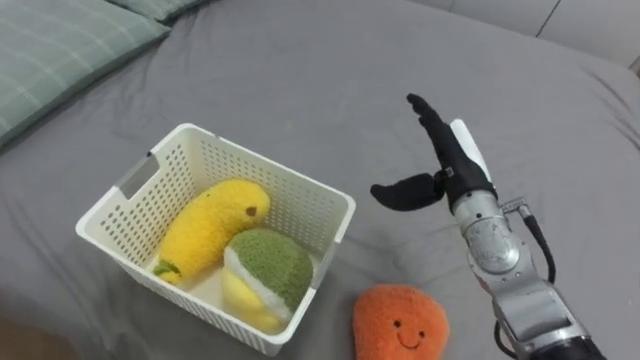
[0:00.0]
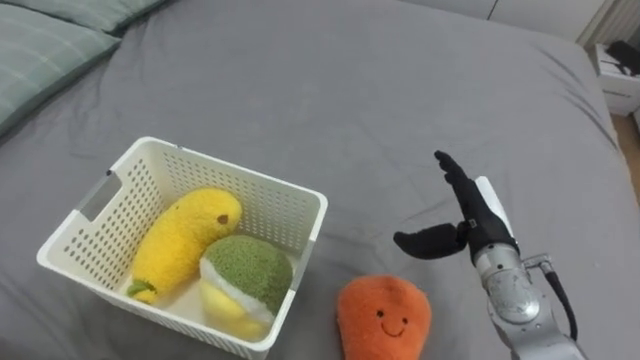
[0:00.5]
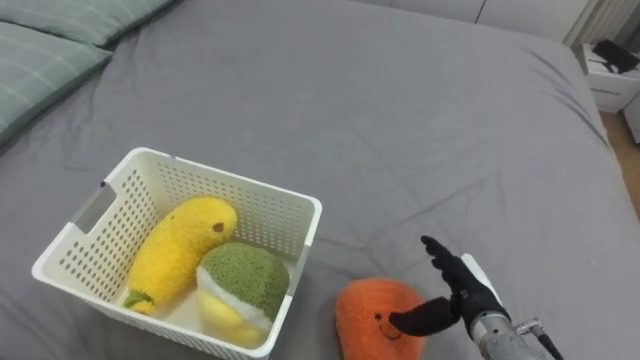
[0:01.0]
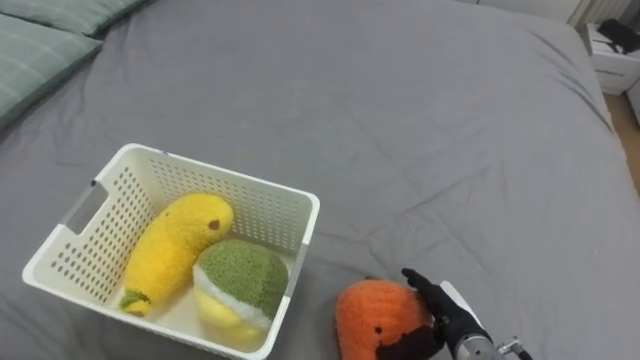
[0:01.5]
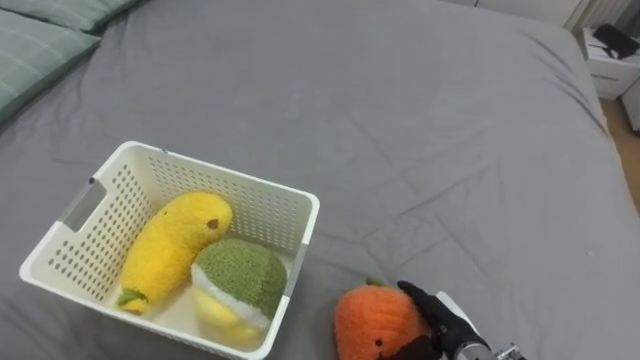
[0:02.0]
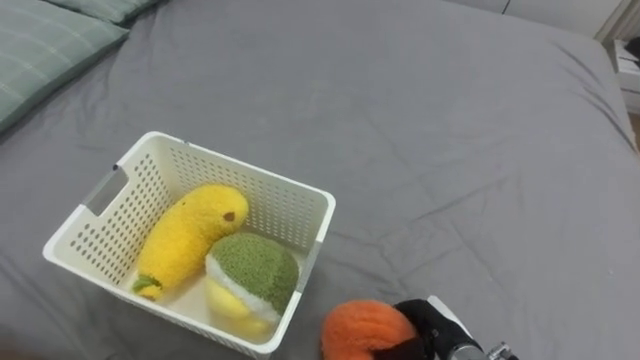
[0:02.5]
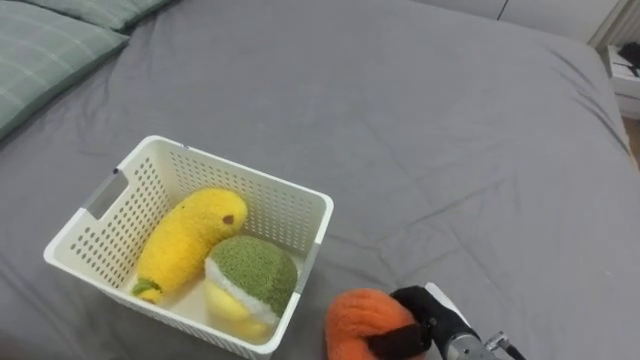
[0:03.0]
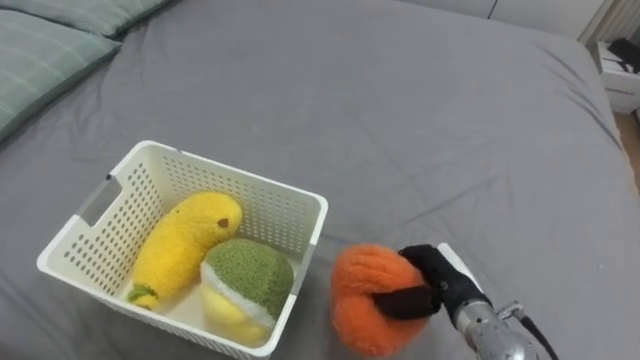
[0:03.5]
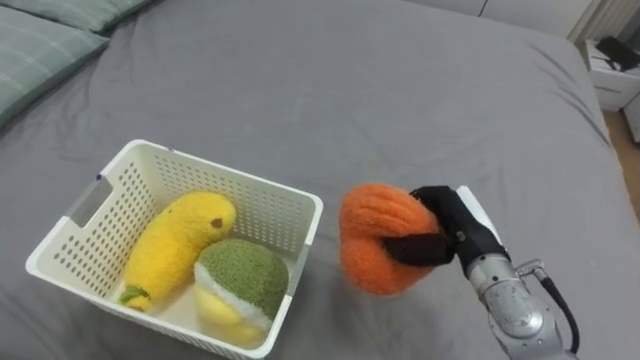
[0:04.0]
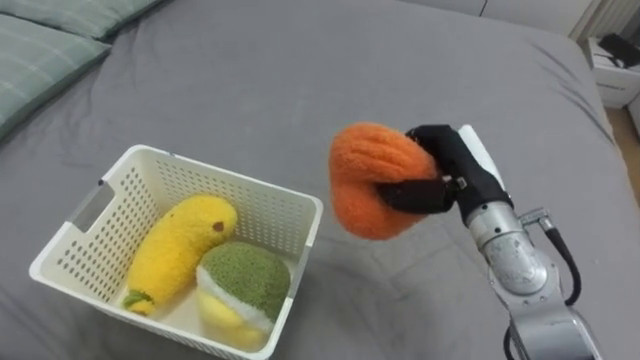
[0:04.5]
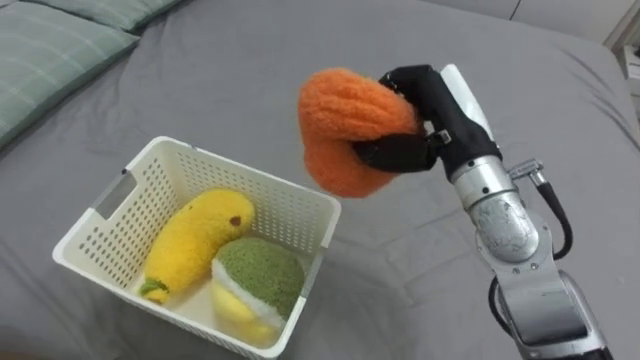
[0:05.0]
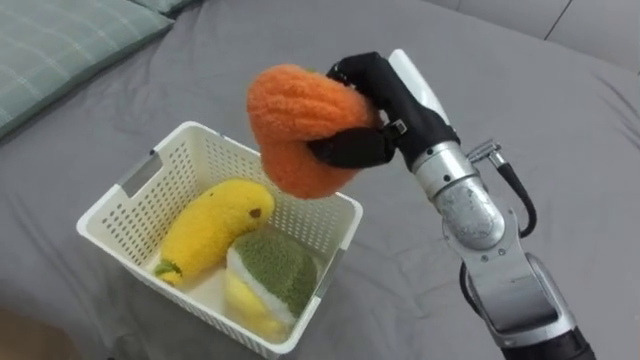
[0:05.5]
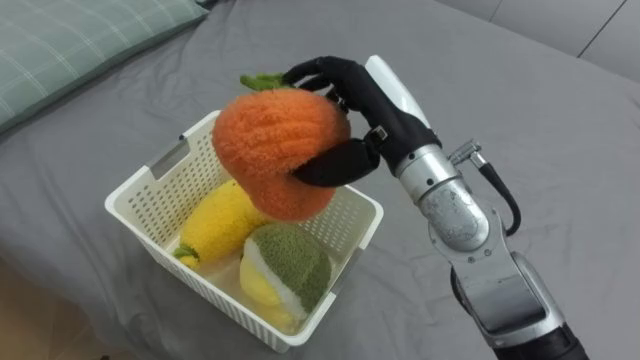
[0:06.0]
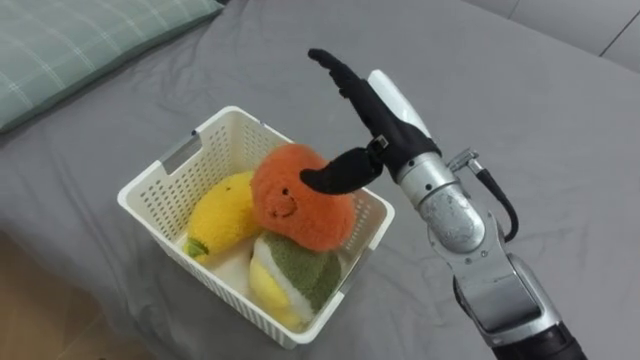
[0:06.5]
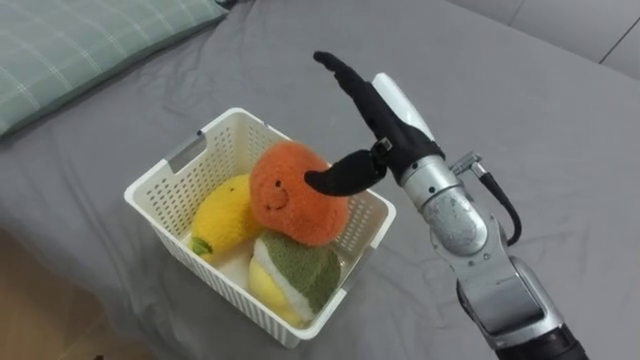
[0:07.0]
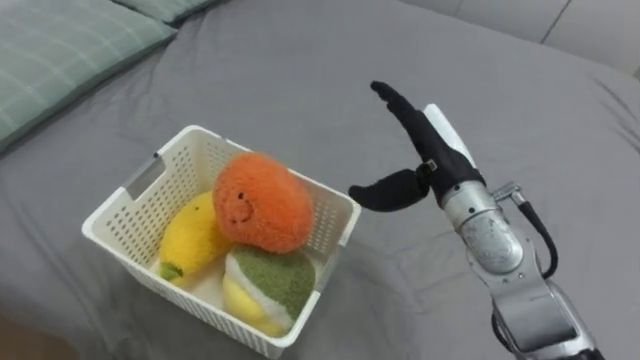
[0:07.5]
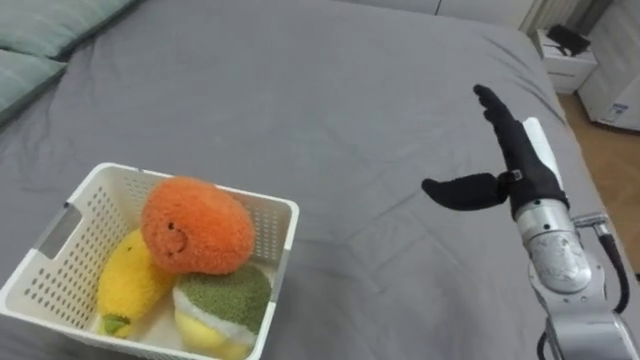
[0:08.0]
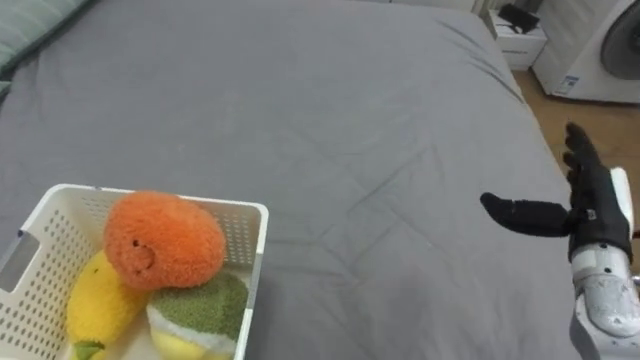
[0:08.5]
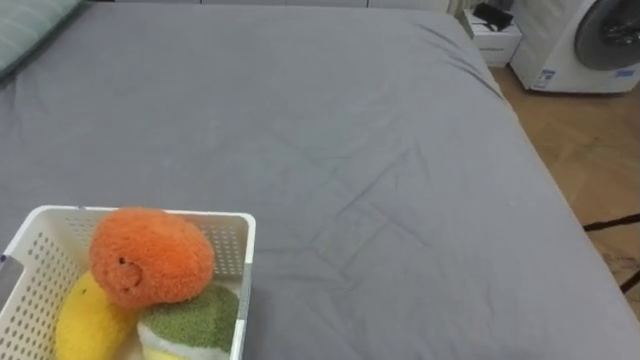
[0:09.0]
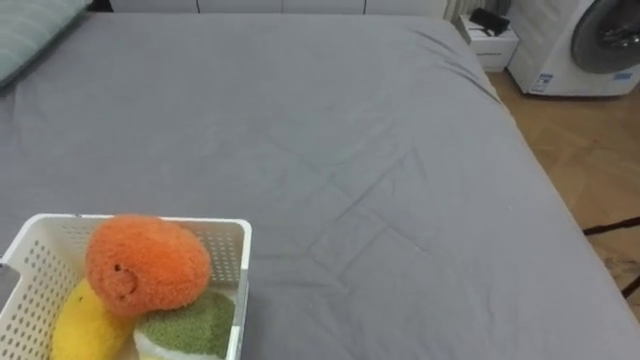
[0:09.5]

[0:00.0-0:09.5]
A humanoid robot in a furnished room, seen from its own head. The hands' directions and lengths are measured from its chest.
Task of the whole recording: Put the toys on the bed into the basket on the left.
0:00.0 to 0:02.0: The right hand heads downward and backward, covering about 25 cm.
0:02.0 to 0:04.0: The right hand shifts approximately 15 cm upward and forward, and closes.
0:04.0 to 0:05.5: The right hand heads upward and to the left, covering about 20 cm.
0:05.5 to 0:07.5: The right hand travels downward by approximately 5 cm, and opens.

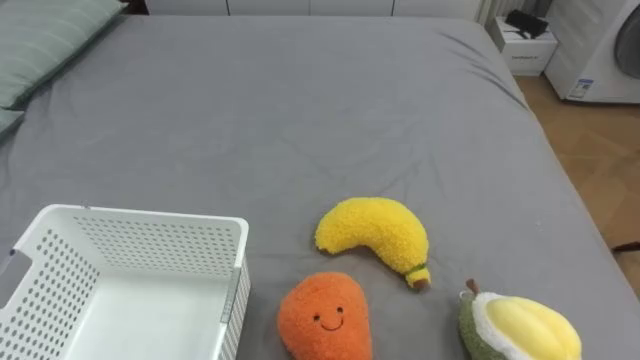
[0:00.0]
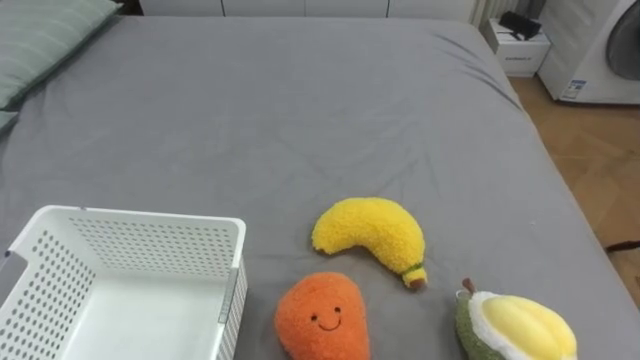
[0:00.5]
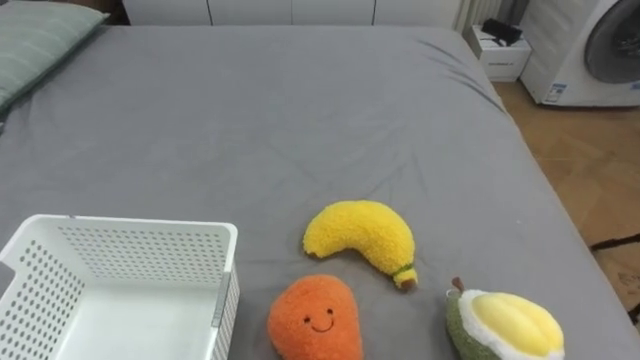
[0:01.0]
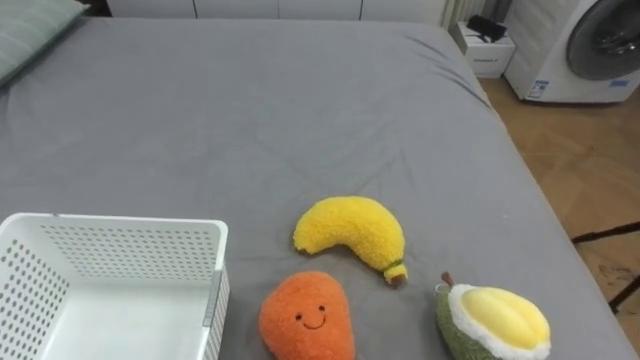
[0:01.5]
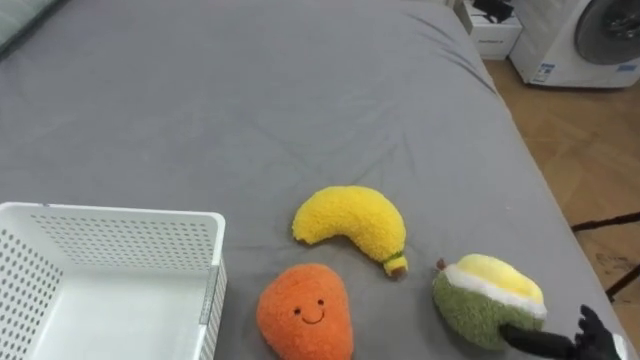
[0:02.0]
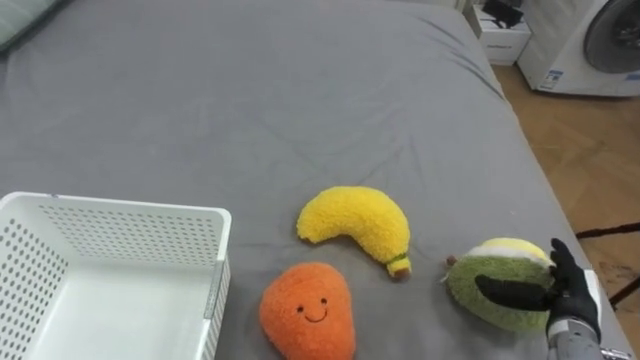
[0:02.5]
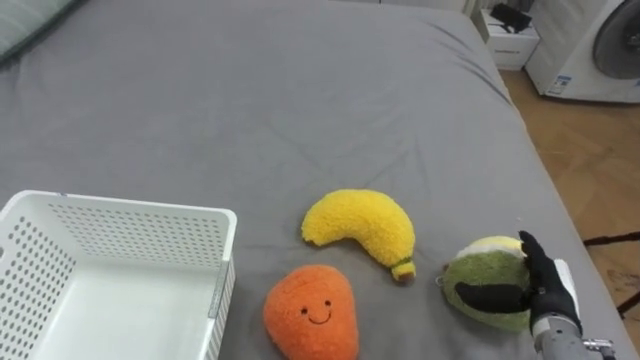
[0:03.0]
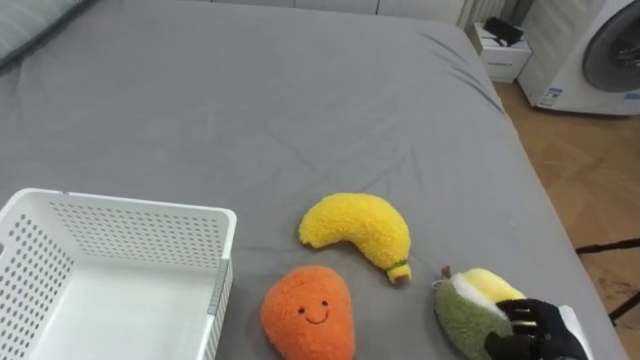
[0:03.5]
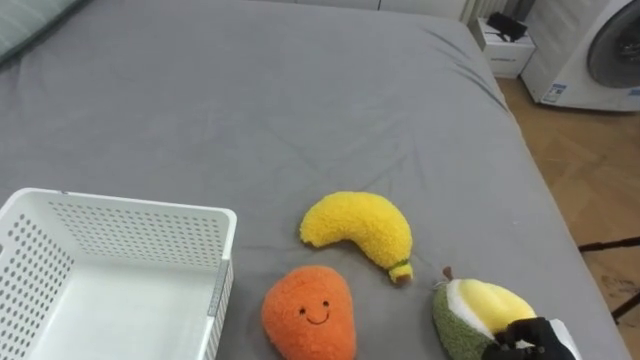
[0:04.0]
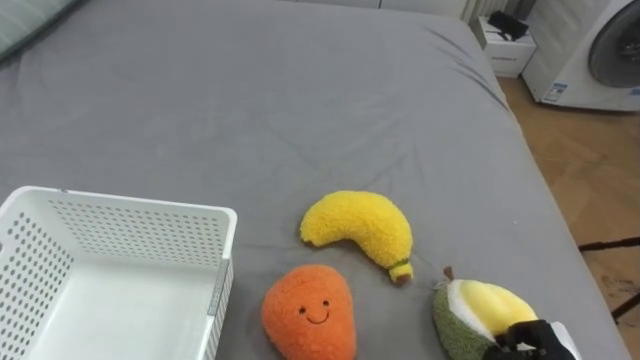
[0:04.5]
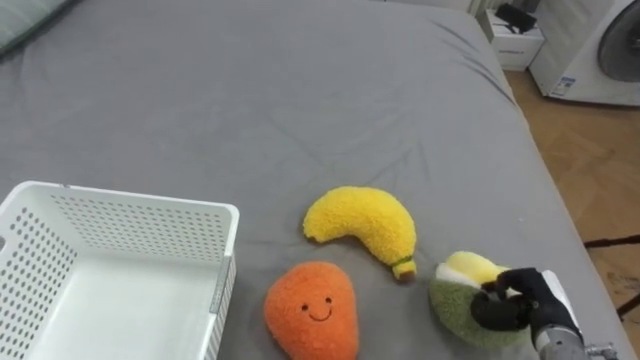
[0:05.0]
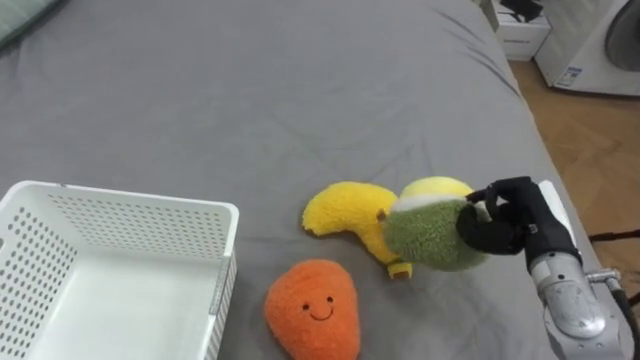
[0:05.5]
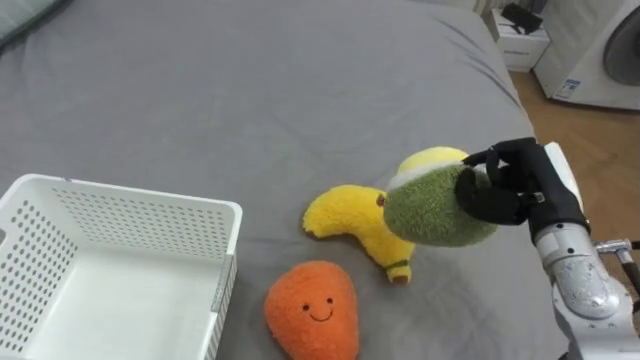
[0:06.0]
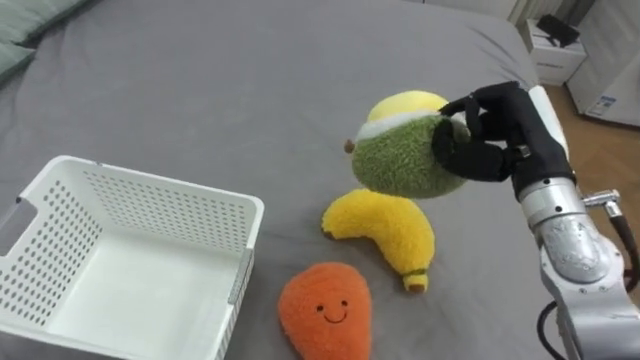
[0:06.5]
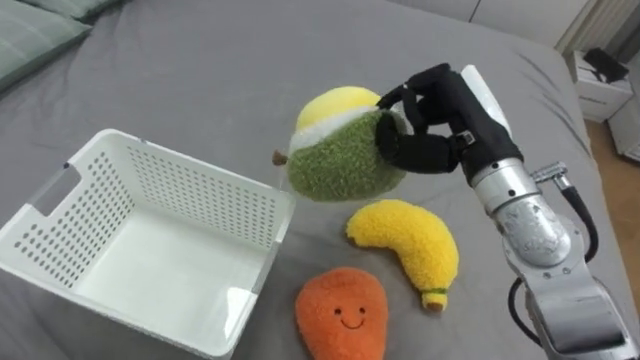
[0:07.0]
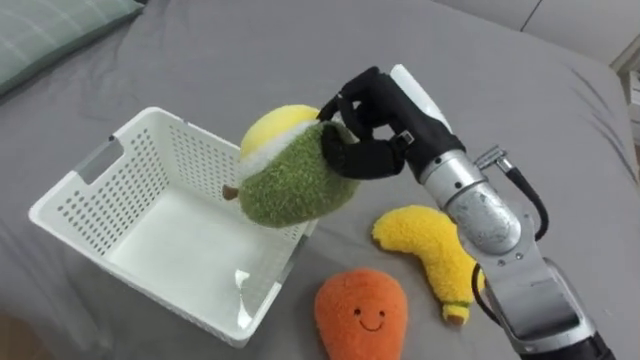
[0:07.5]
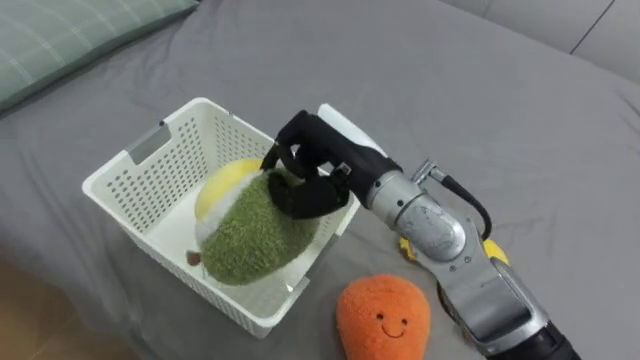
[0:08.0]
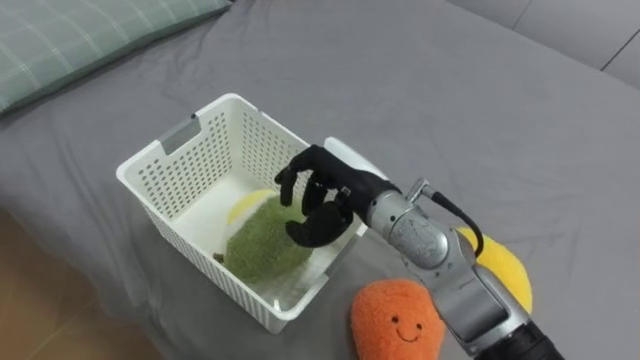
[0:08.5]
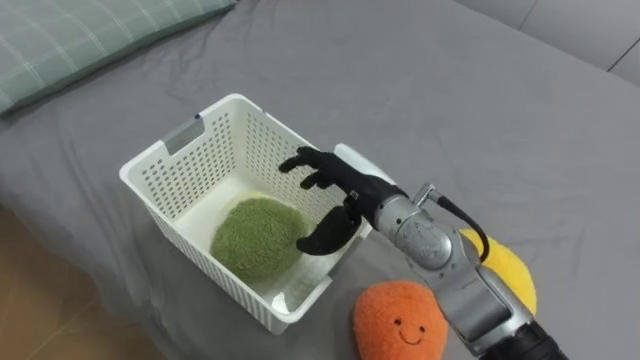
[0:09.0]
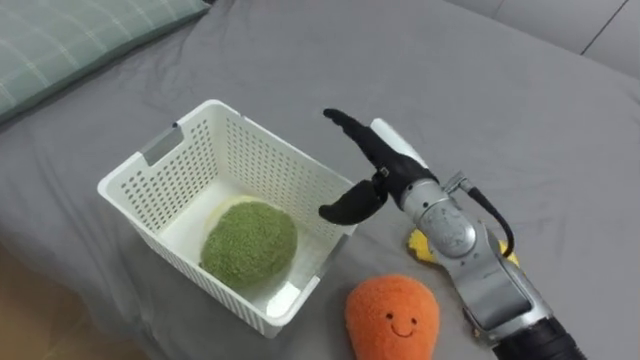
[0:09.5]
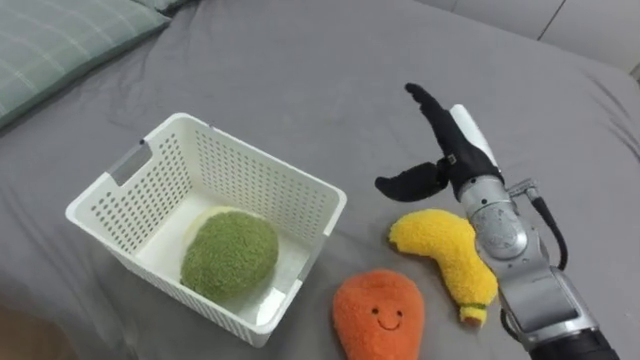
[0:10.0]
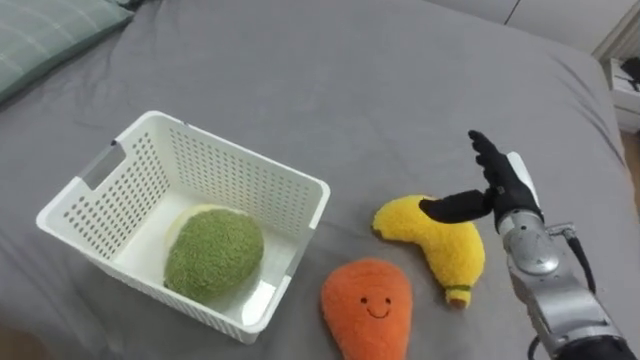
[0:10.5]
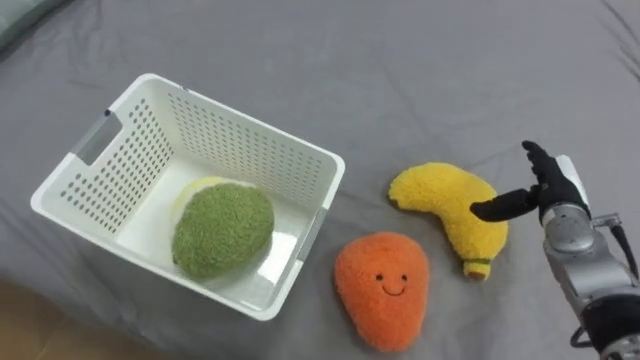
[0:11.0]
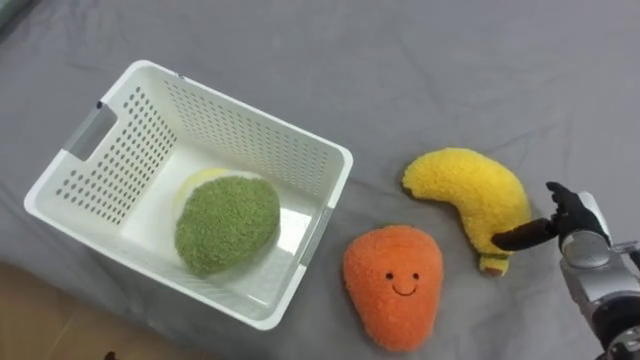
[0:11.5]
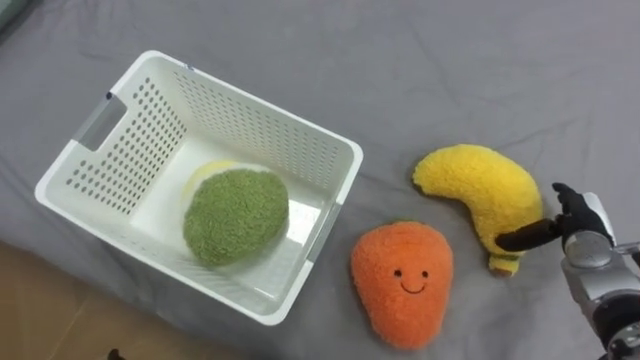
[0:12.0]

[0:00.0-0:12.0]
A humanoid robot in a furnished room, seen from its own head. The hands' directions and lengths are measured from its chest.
Task of the whole recording: Put the toys on the bed into the basket on the left.
0:04.0 to 0:06.0: The right hand is displaced upward and forward by some 25 cm.
0:06.0 to 0:08.0: The right hand moves to the left, approximately 25 cm.
0:08.0 to 0:10.0: The right hand heads to the right, covering about 15 cm, and opens its fingers.
0:10.0 to 0:12.0: The right hand is displaced to the right and downward by approximately 20 cm.
